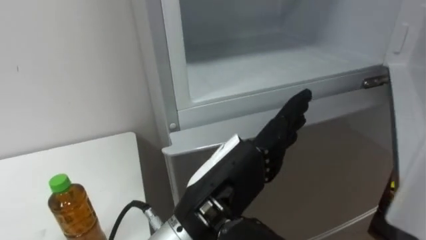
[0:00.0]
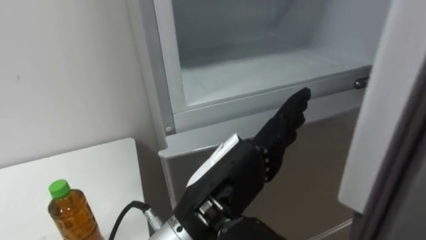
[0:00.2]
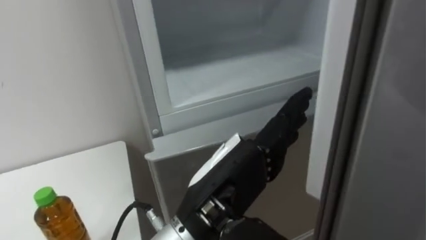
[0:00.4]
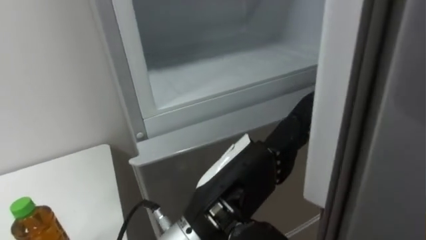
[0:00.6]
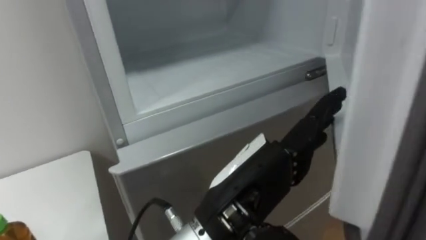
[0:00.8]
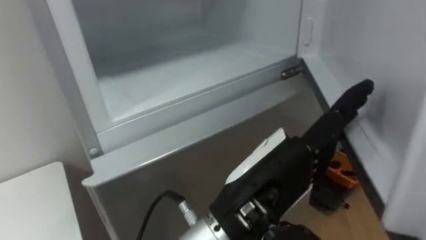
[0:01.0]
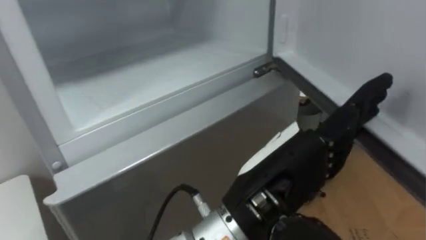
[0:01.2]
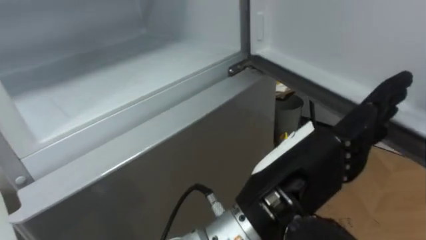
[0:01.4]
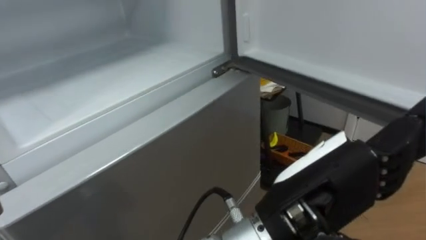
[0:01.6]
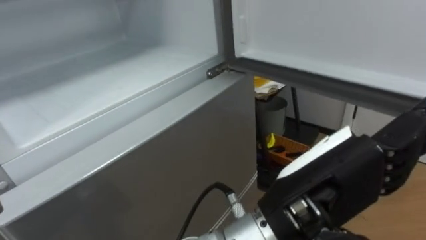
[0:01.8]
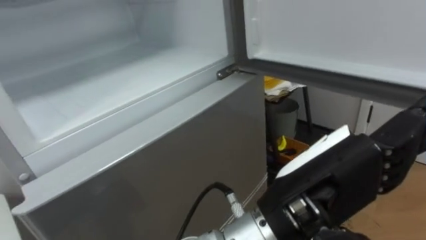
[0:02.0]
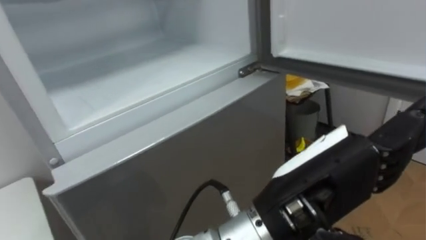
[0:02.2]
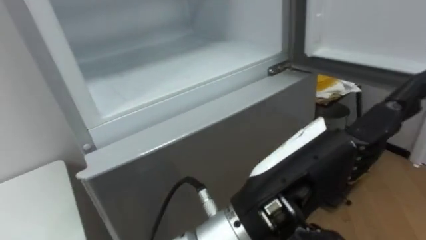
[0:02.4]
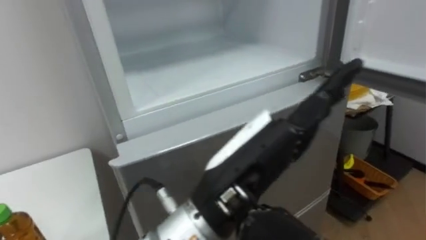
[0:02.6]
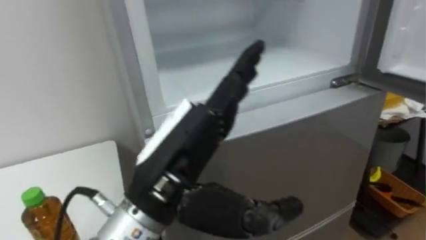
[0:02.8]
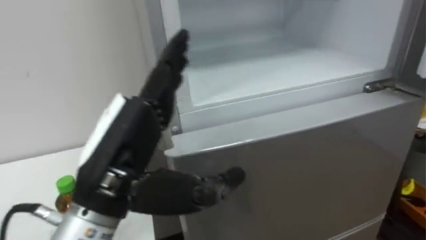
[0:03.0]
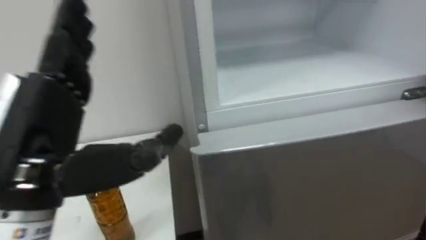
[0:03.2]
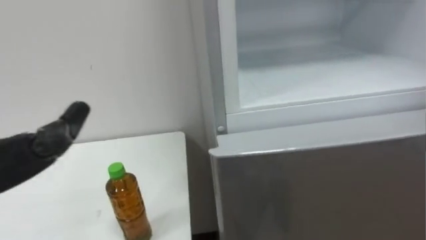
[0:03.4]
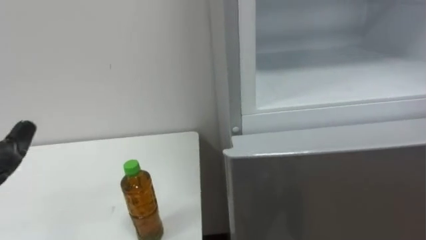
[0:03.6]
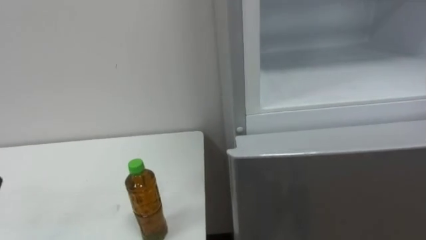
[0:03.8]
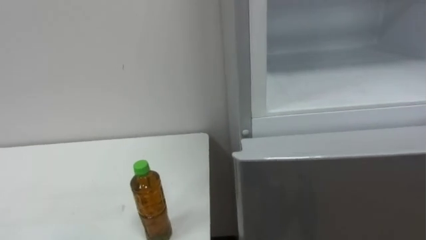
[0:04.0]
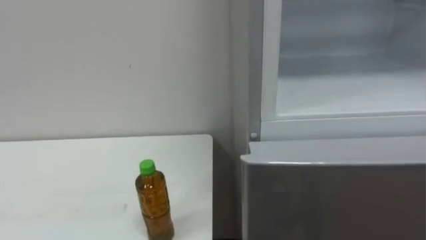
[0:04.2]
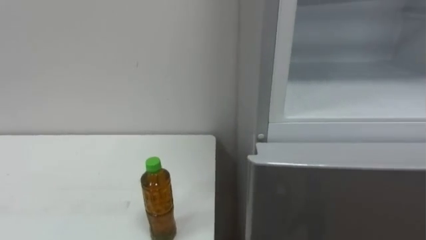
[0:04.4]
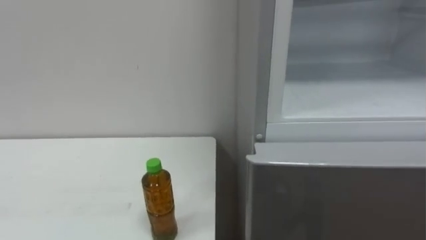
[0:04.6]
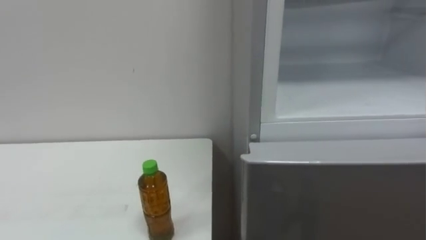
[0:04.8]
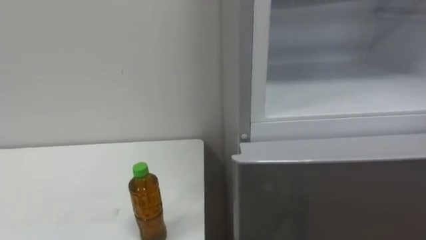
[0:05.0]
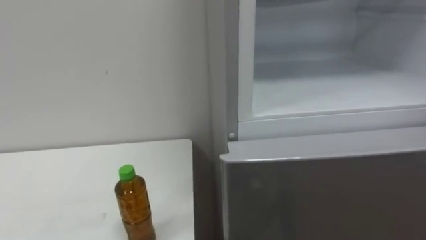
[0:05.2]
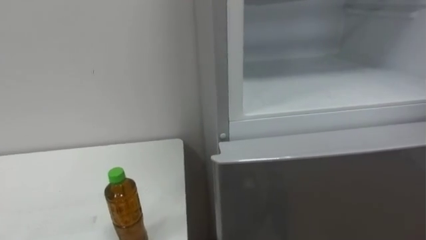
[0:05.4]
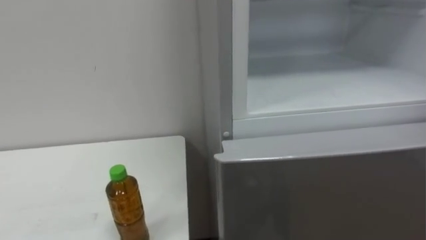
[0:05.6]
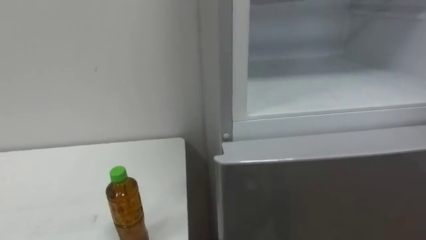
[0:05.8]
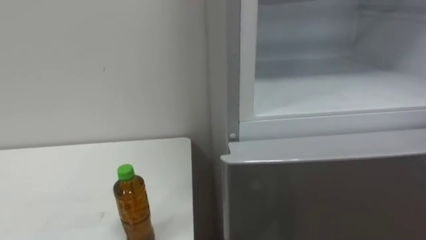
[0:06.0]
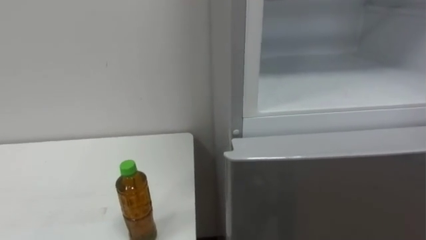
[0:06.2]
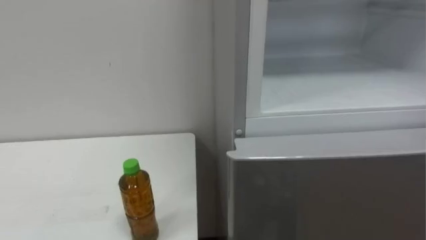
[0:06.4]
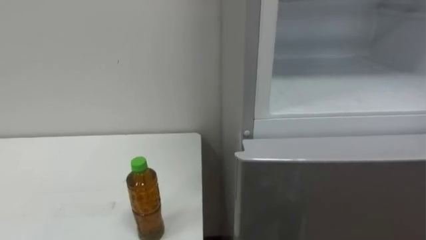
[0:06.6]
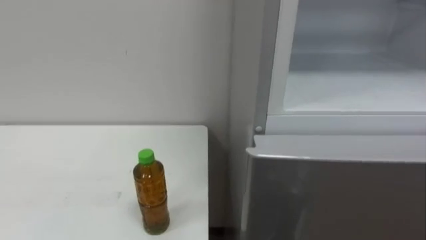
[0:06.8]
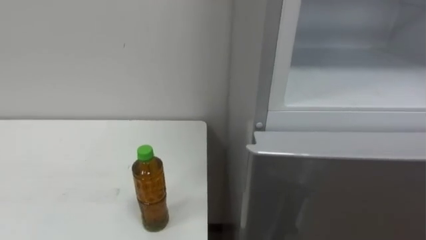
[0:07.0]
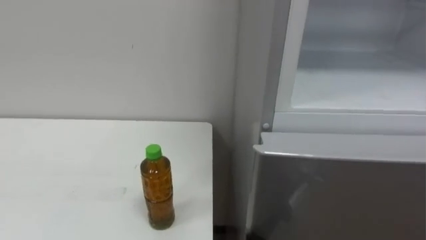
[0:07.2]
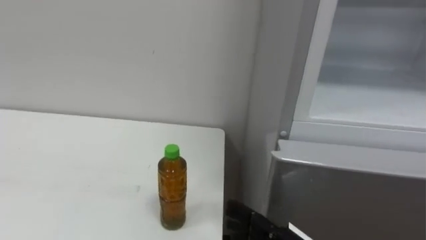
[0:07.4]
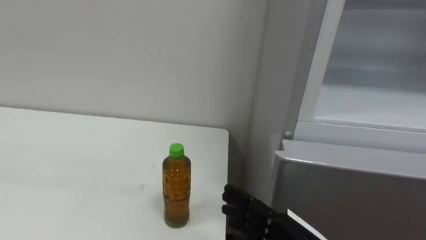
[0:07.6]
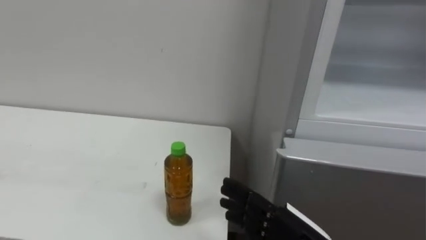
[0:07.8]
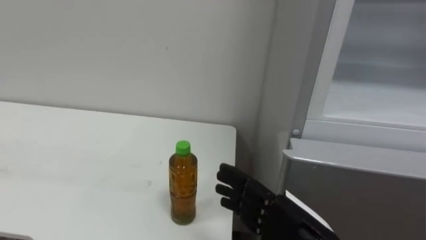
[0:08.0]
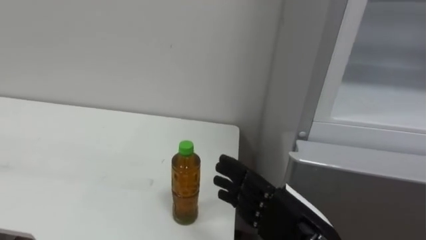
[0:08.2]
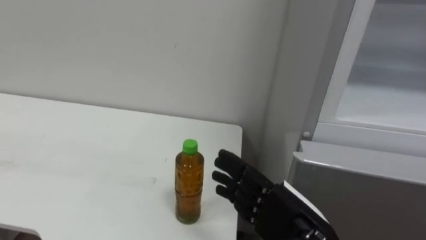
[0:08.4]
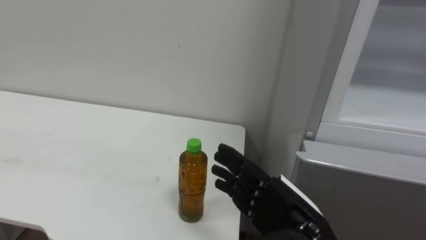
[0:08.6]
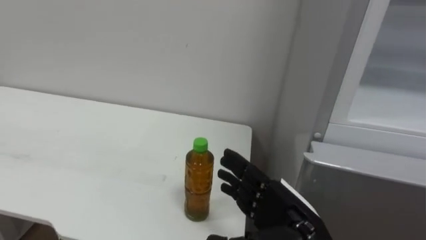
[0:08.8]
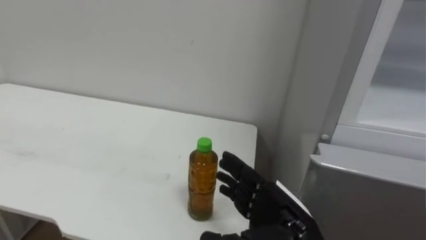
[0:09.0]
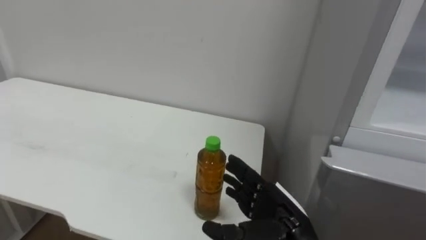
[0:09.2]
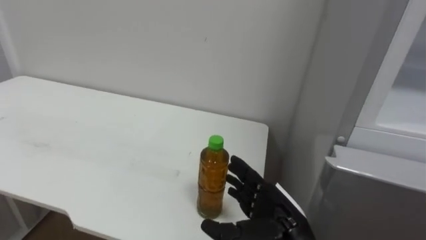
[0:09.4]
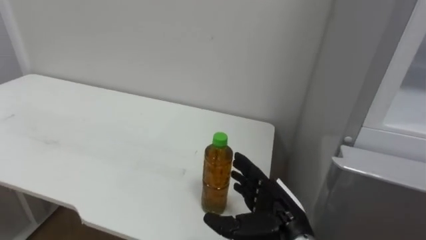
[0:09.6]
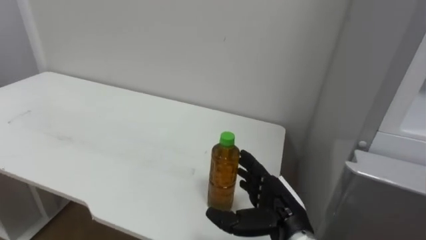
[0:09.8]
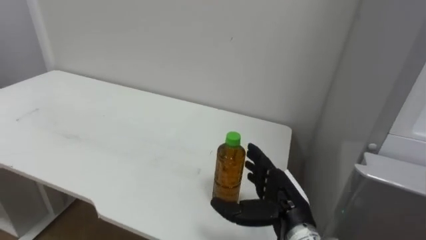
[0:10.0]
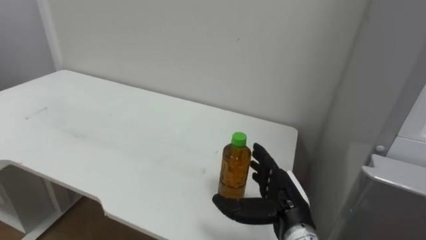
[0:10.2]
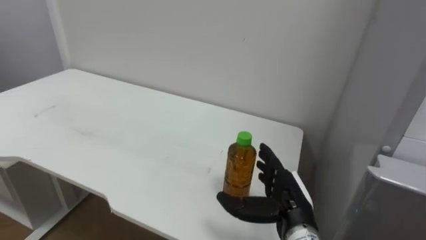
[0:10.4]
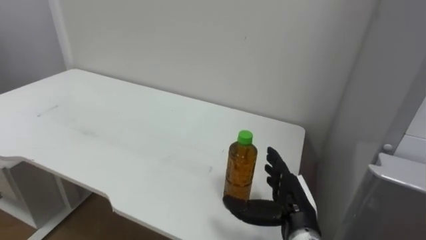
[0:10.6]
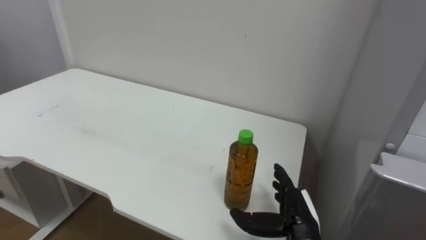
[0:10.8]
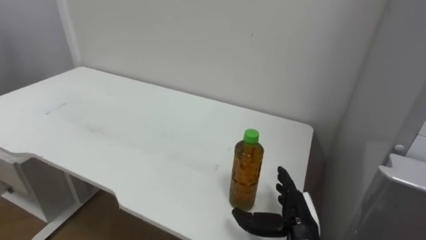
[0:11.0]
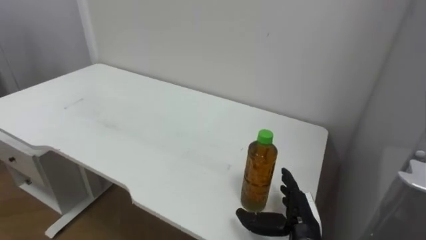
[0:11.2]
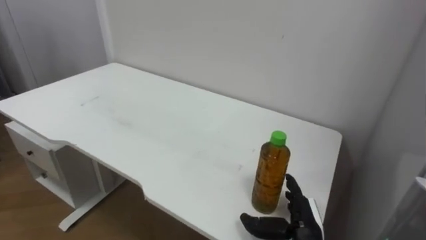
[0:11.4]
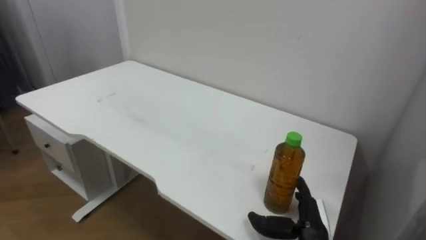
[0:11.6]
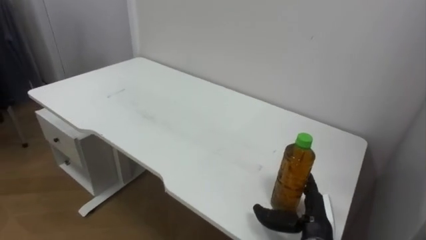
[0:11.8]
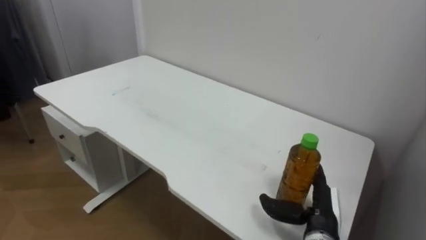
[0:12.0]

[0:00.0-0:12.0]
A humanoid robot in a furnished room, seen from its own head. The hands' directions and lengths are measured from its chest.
Task of the whole recording: Open the upper refrigerator door, put the drink from the table into the refrigerator, and then close the refrigerator door.
0:00.0 to 0:01.6: The left hand travels to the right by roughly 10 cm.
0:01.6 to 0:03.0: The left hand moves to the left, some 15 cm.
0:09.0 to 0:10.4: The right hand heads forward, covering about 5 cm.
0:10.4 to 0:12.0: The right hand is displaced to the right by some 5 cm.

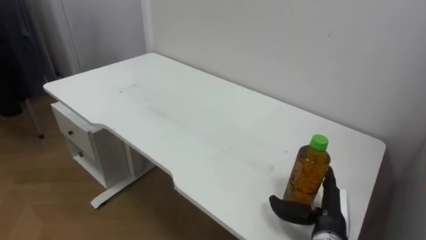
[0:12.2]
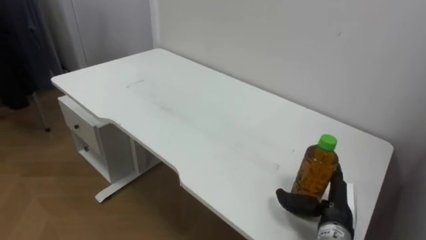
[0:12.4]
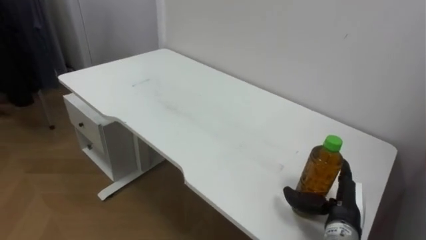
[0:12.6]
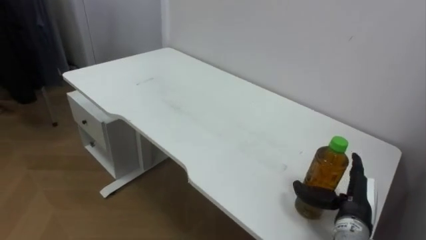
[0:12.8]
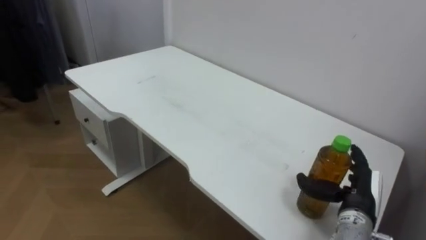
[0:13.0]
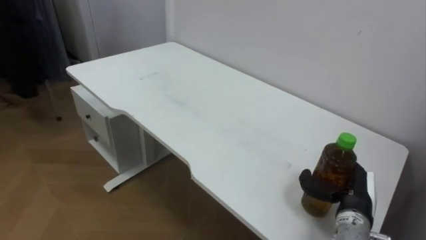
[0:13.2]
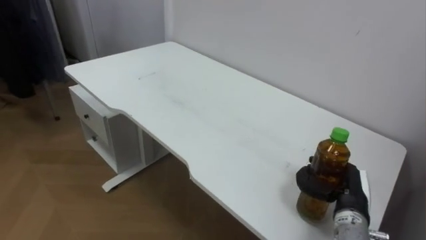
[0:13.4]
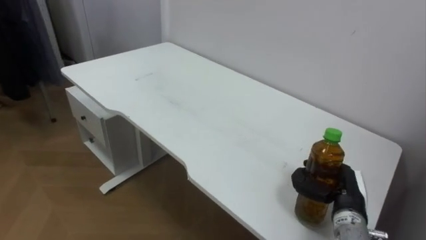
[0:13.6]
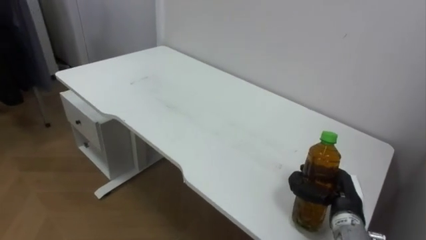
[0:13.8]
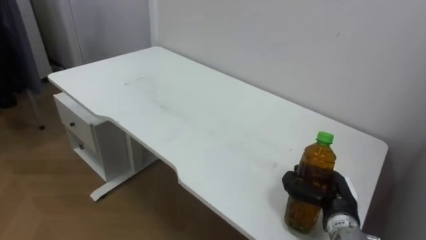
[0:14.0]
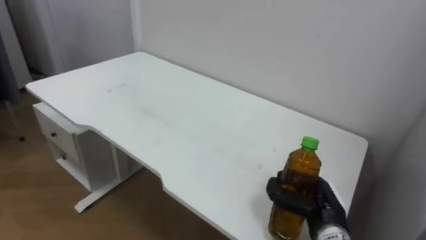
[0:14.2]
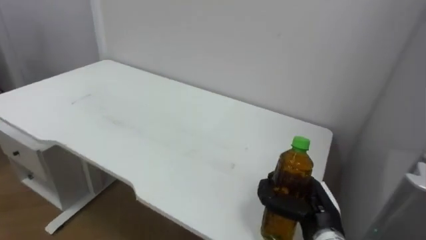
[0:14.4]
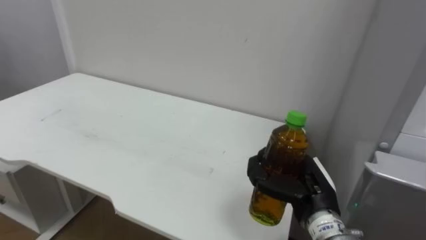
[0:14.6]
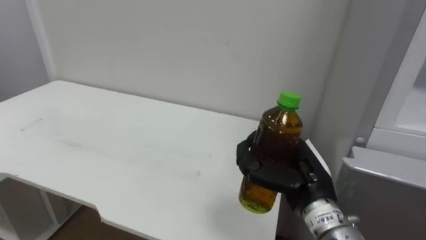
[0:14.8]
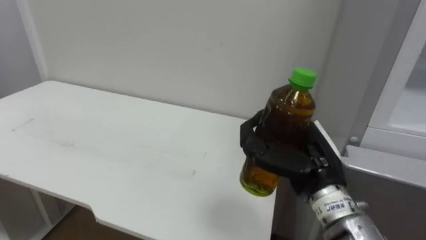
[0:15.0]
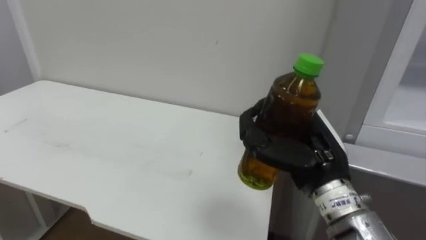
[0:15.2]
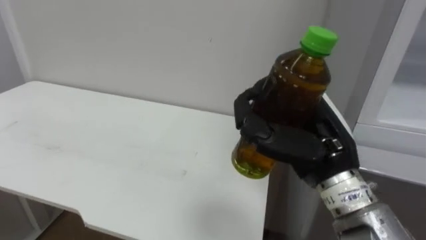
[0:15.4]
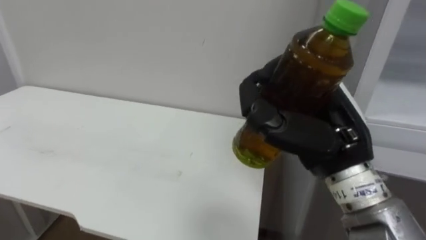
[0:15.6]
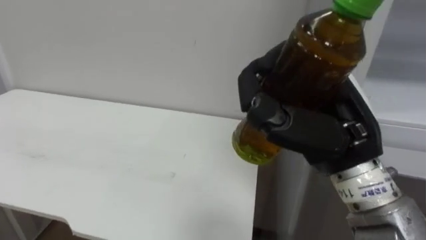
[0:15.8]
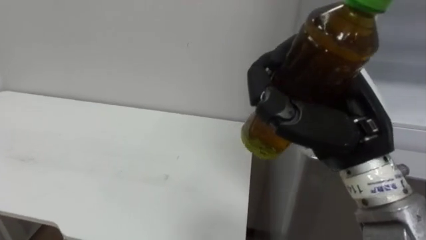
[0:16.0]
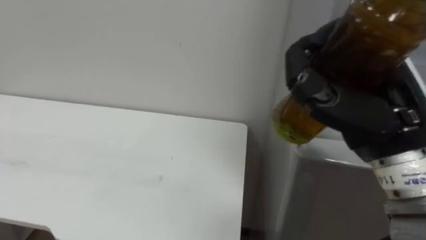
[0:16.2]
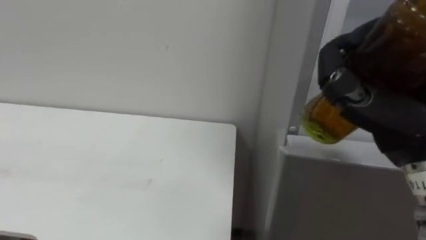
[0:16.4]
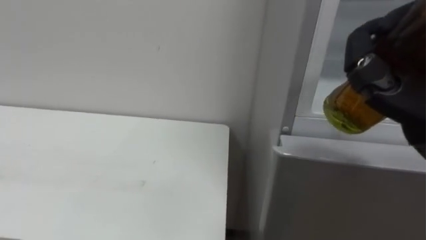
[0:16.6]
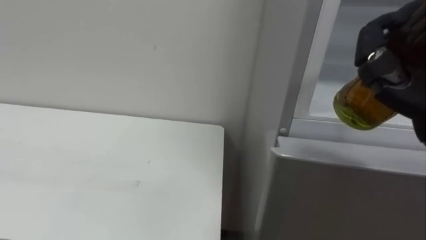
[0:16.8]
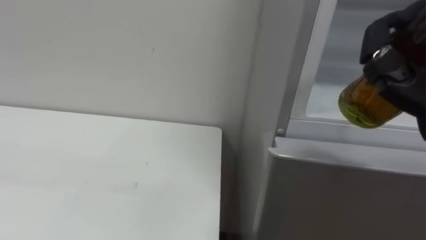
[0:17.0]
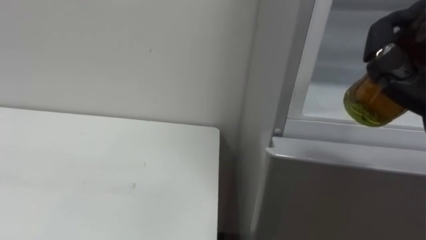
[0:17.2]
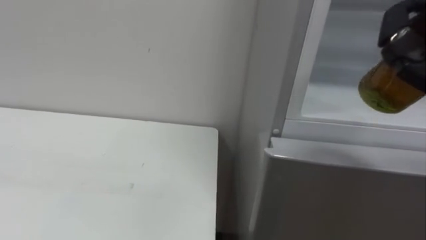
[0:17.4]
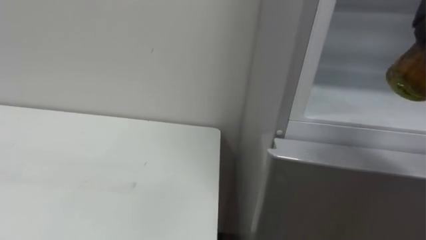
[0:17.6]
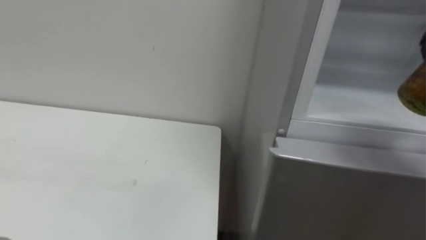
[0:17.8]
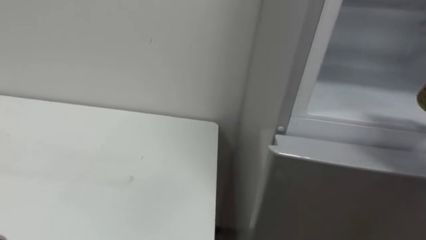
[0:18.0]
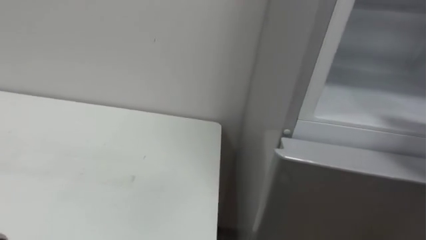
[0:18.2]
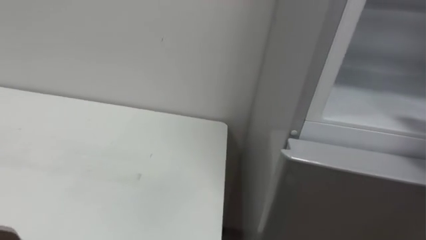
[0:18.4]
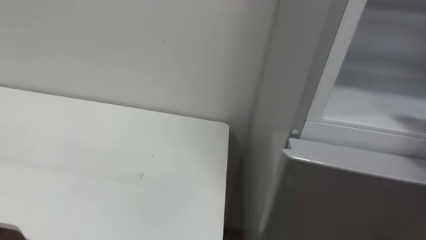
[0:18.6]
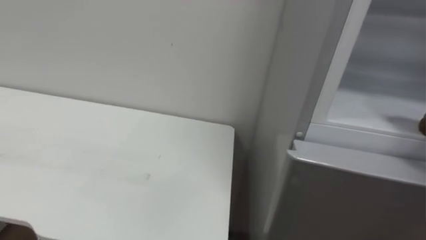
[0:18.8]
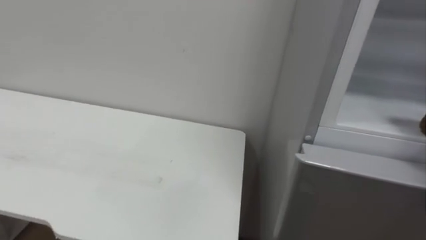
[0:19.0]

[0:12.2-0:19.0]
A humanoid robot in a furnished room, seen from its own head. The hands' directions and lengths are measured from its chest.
Task of the whole recording: Open the upper refrigerator door, put the drink from the table into the refrigerator, and then close the refrigerator door.
0:12.2 to 0:13.6: The right hand changes place by approximately 5 cm, and closes.
0:13.6 to 0:15.0: The right hand moves upward and to the left, some 15 cm.
0:15.0 to 0:16.2: The right hand is displaced upward and backward by some 15 cm.
